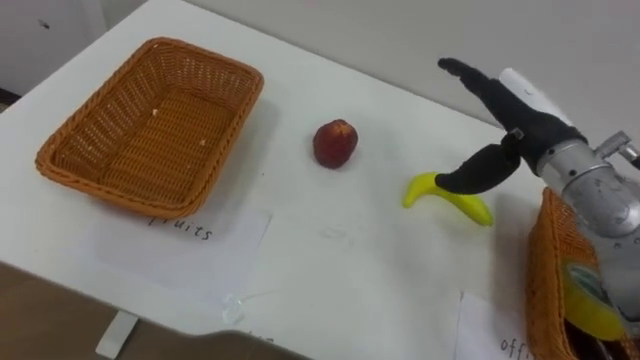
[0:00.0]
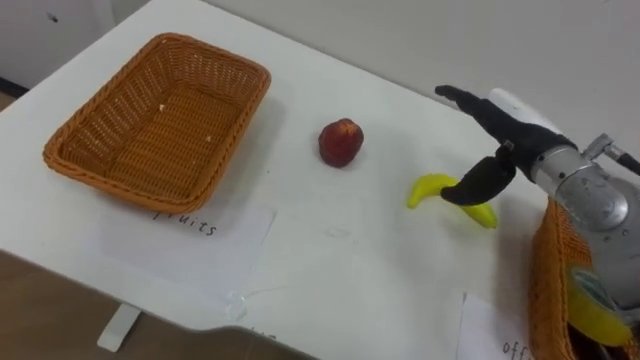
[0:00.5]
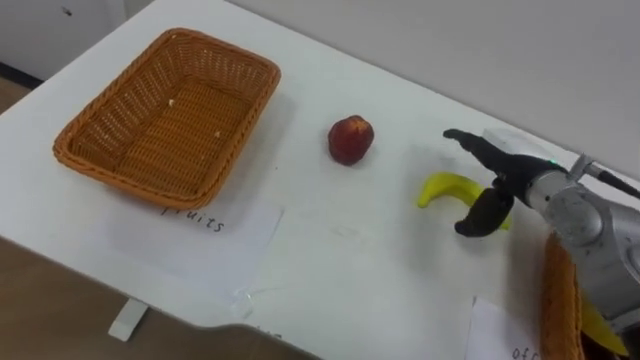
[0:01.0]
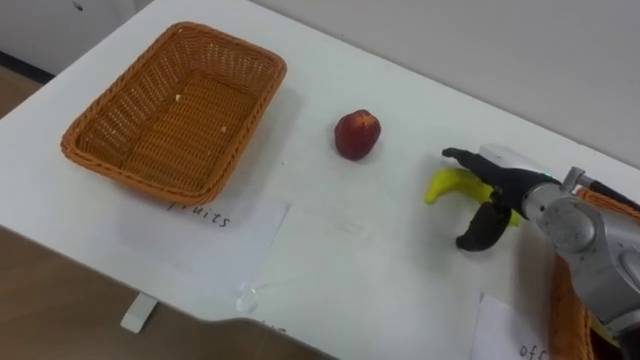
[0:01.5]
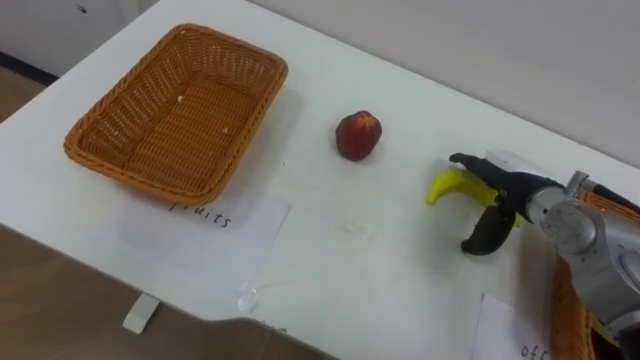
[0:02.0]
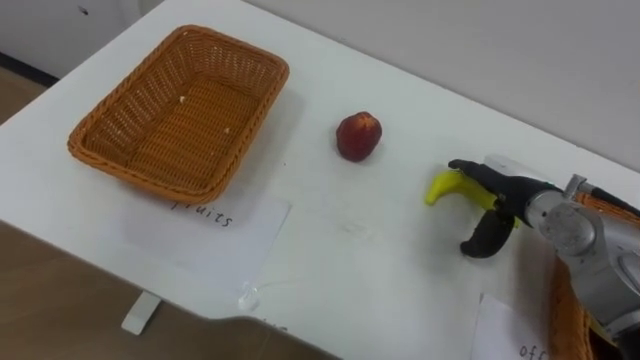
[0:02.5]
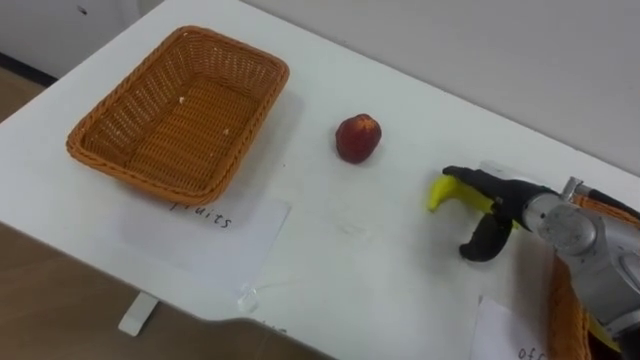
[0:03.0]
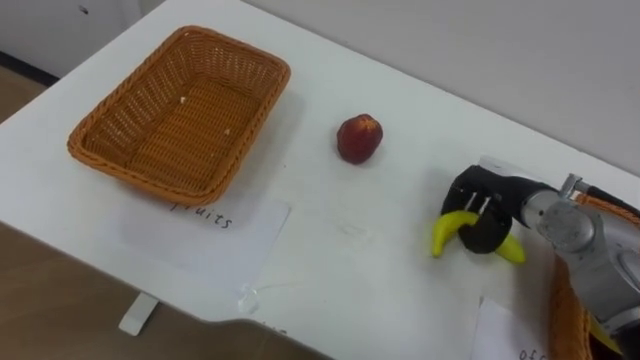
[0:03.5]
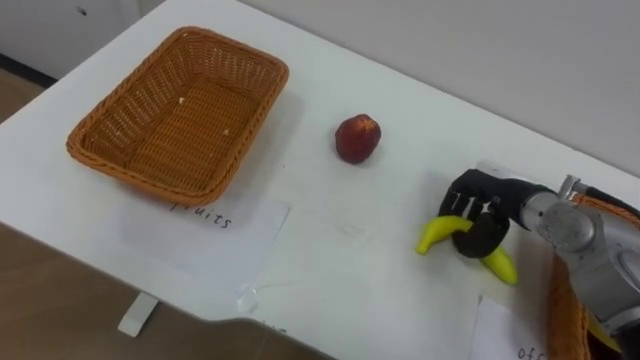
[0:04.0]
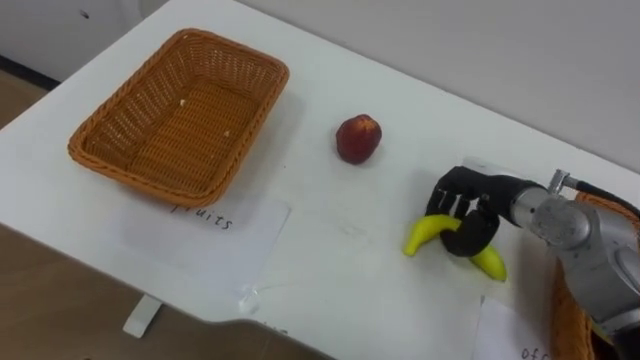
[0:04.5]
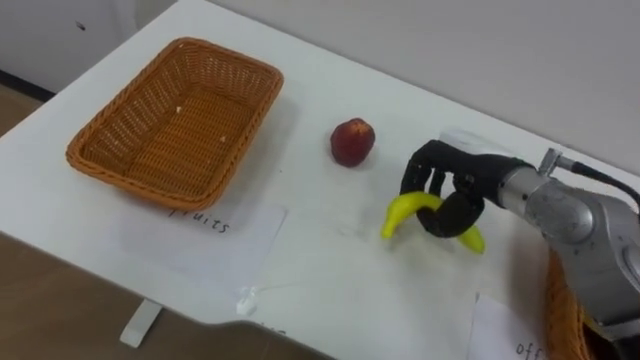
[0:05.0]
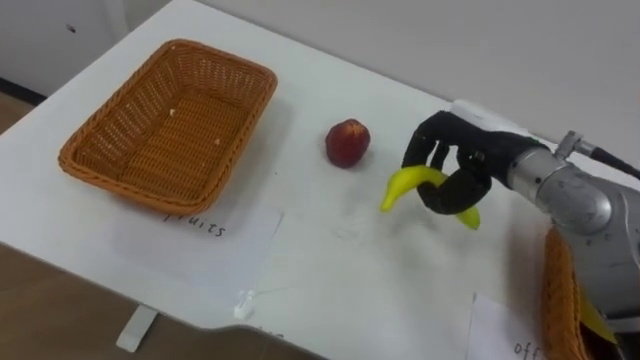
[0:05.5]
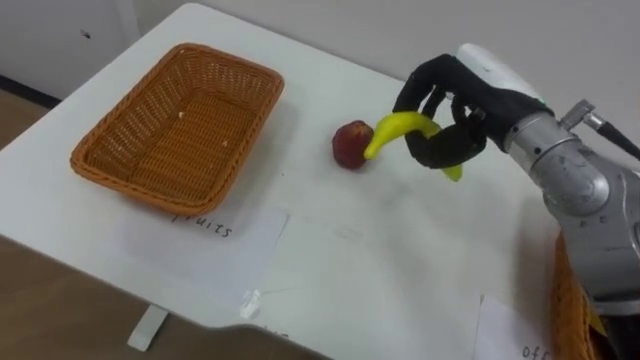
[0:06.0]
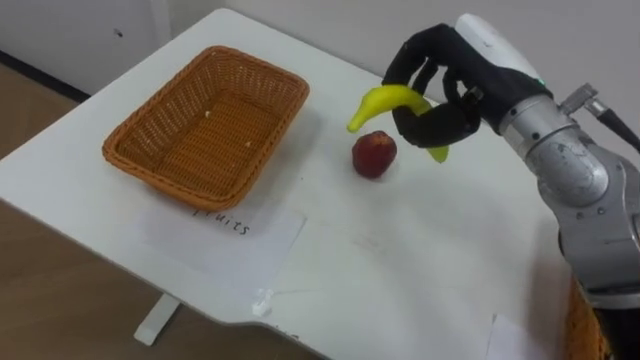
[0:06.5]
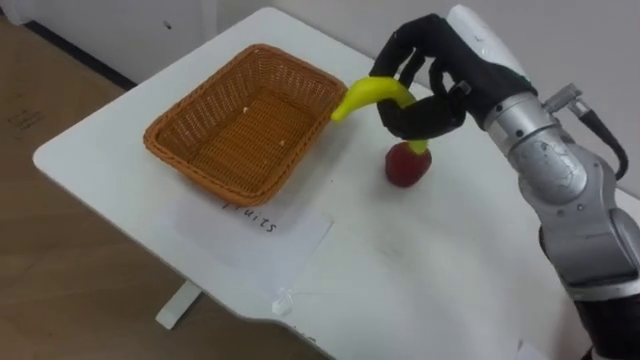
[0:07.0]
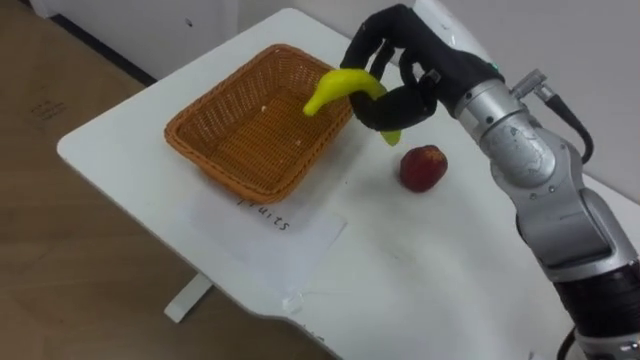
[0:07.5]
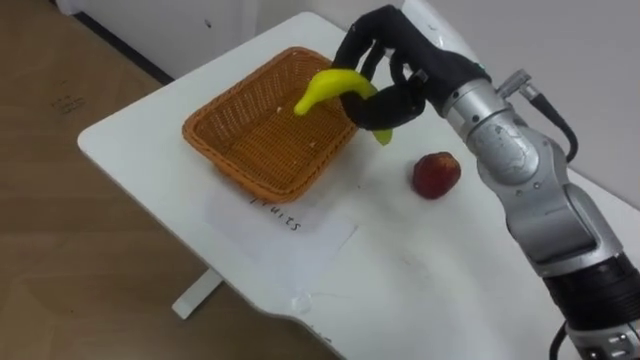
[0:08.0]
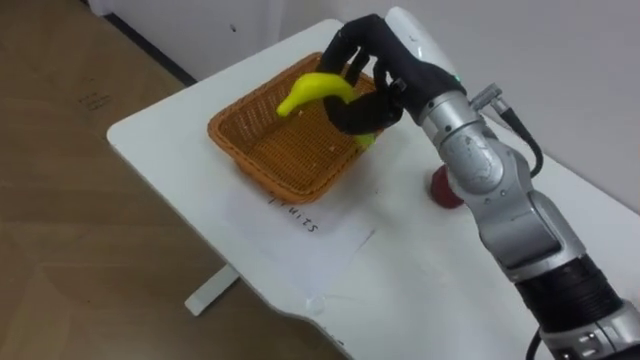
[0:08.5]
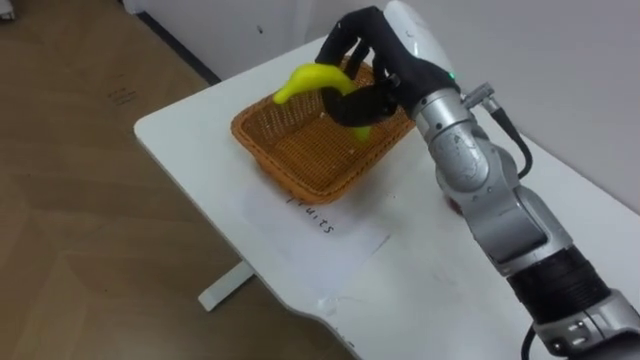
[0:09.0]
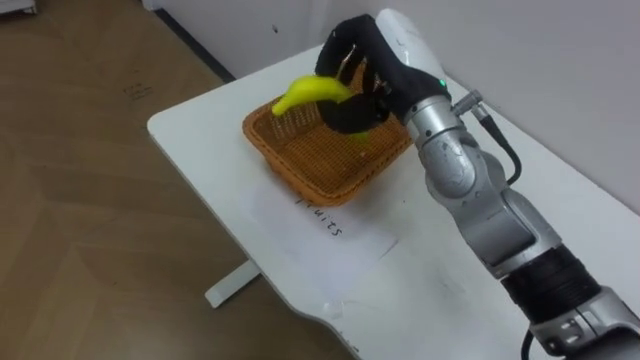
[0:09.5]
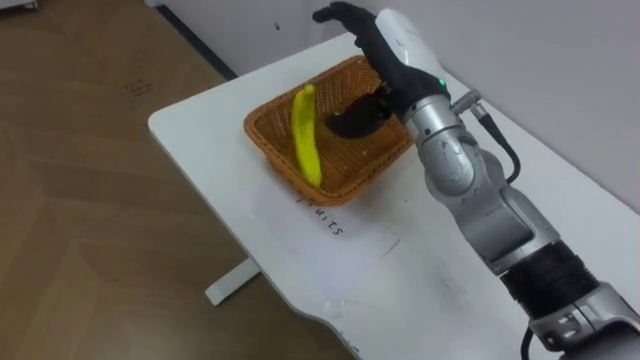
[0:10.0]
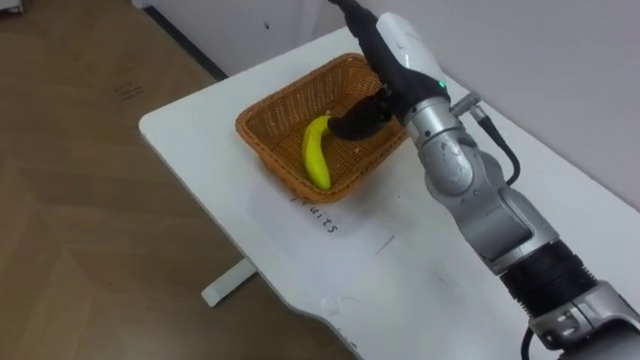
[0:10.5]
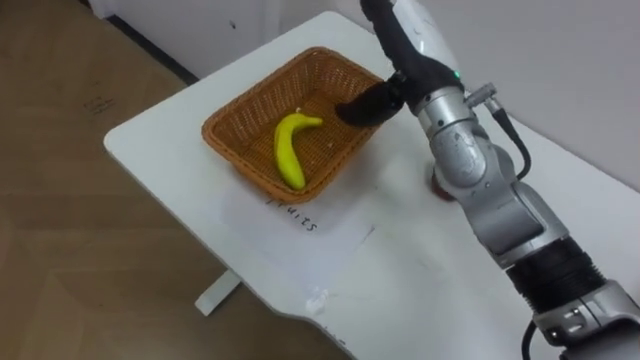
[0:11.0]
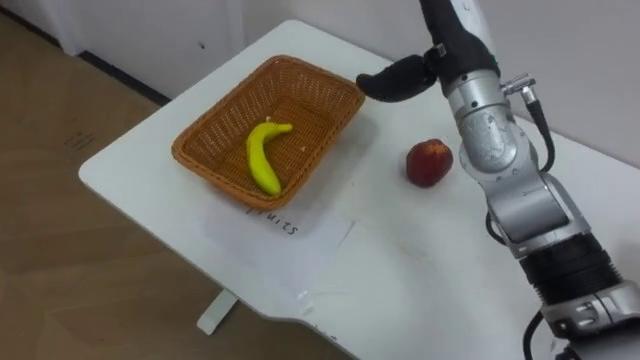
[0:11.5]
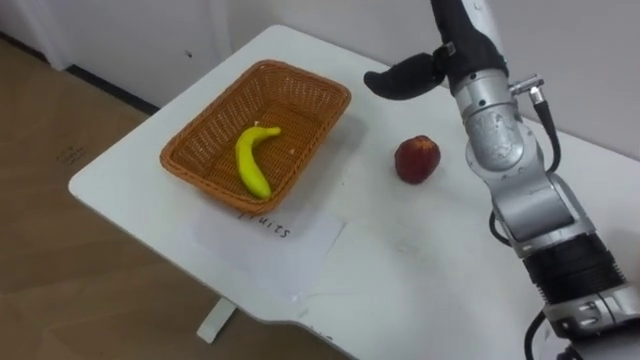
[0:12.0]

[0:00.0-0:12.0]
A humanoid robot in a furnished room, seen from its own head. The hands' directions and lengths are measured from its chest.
Task of the whole recording: Separate the items on the table and place them into the two baskets.
0:00.0 to 0:02.0: The right hand is displaced downward by some 10 cm.
0:02.0 to 0:04.0: The right hand closes up.
0:04.0 to 0:06.0: The right hand heads upward and to the left, covering some 15 cm.
0:06.0 to 0:08.0: The right hand goes approximately 5 cm to the left.
0:08.0 to 0:10.0: The right hand opens its fingers.
0:10.0 to 0:12.0: The right hand travels to the right by approximately 5 cm.

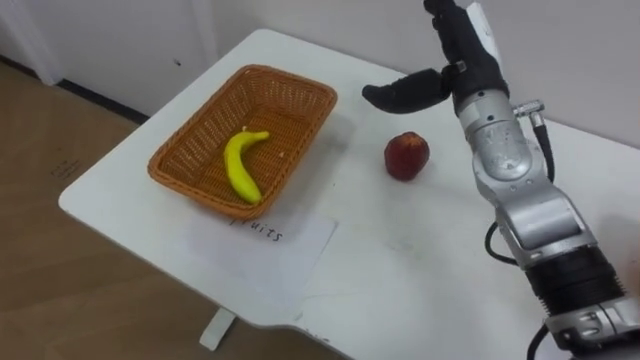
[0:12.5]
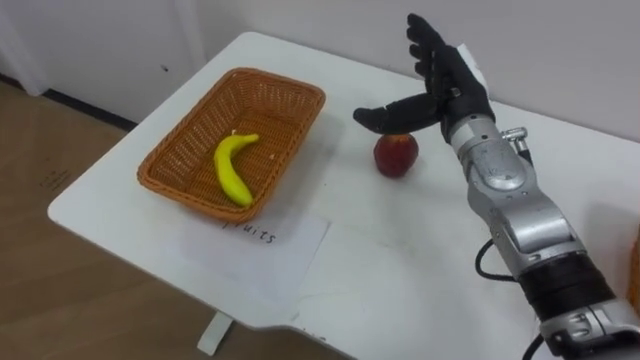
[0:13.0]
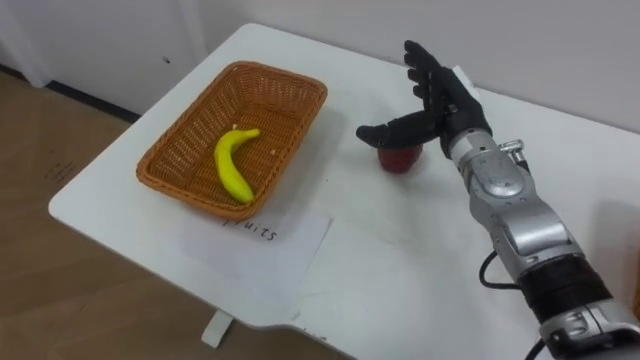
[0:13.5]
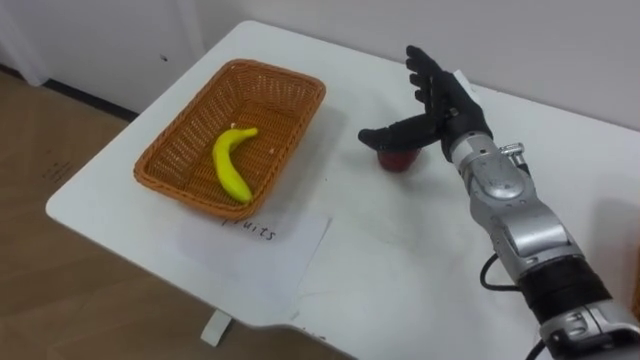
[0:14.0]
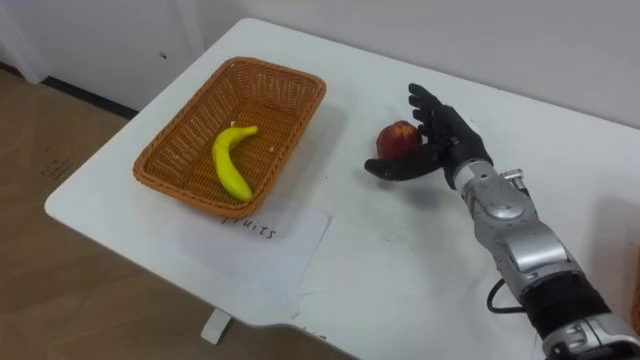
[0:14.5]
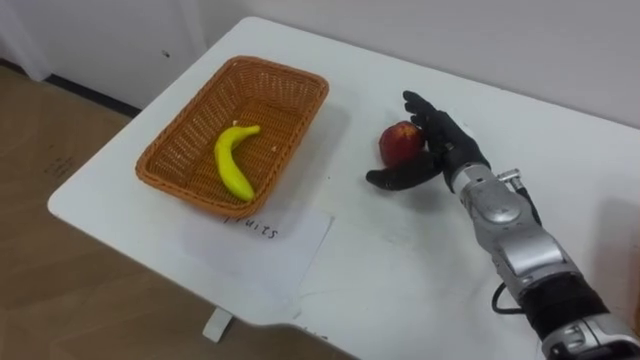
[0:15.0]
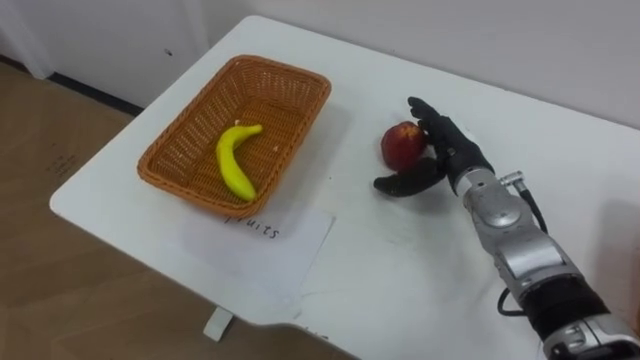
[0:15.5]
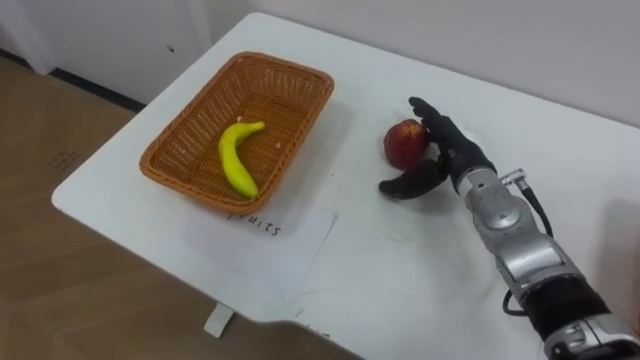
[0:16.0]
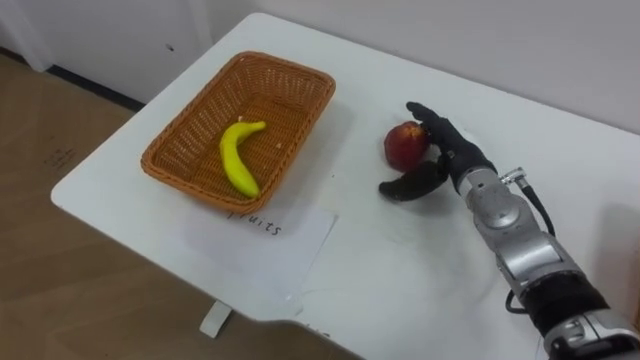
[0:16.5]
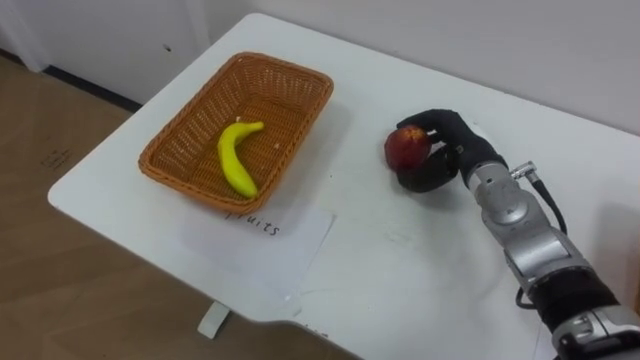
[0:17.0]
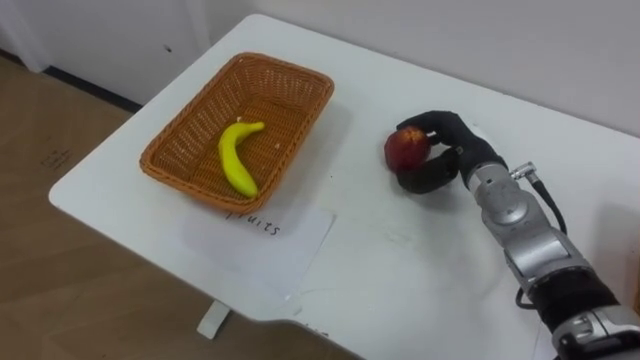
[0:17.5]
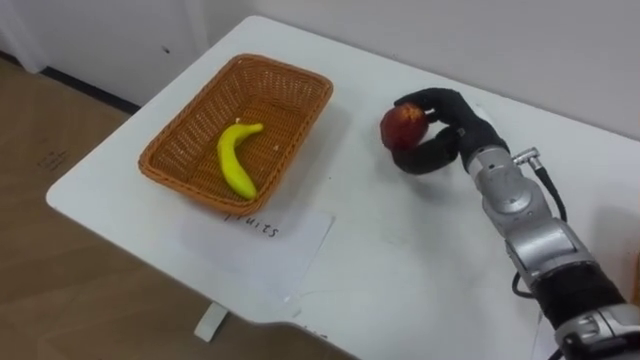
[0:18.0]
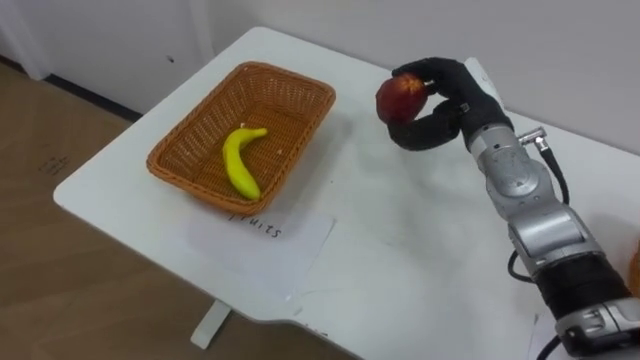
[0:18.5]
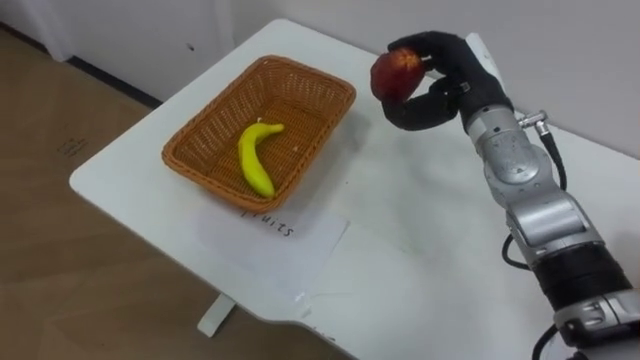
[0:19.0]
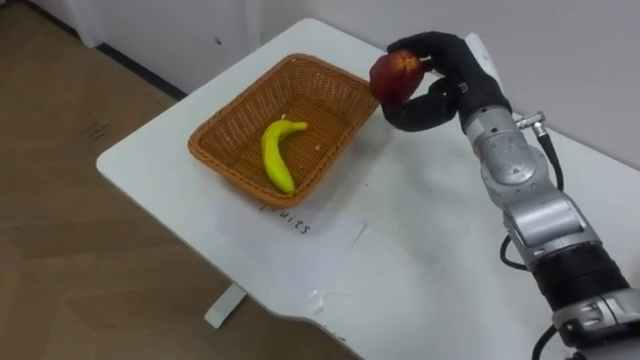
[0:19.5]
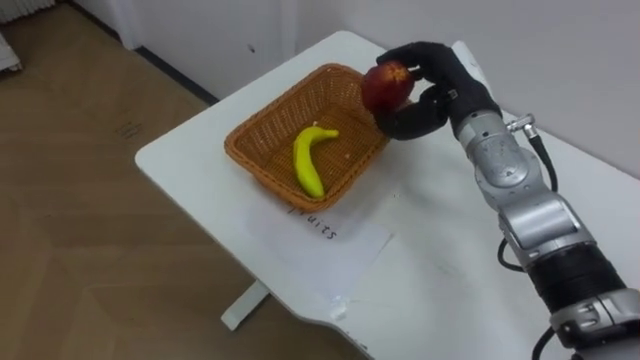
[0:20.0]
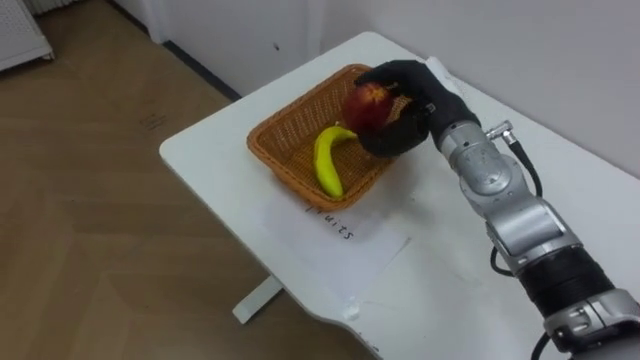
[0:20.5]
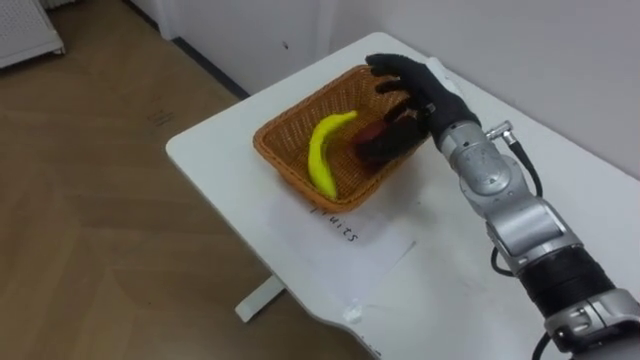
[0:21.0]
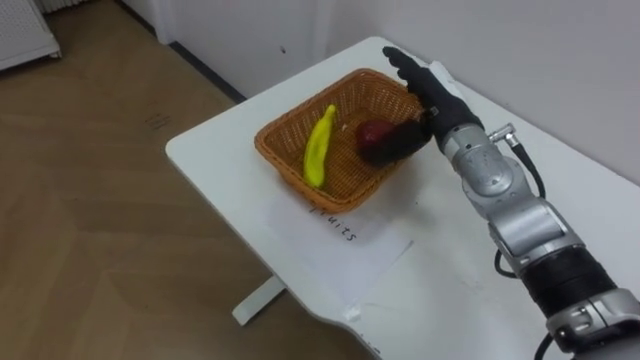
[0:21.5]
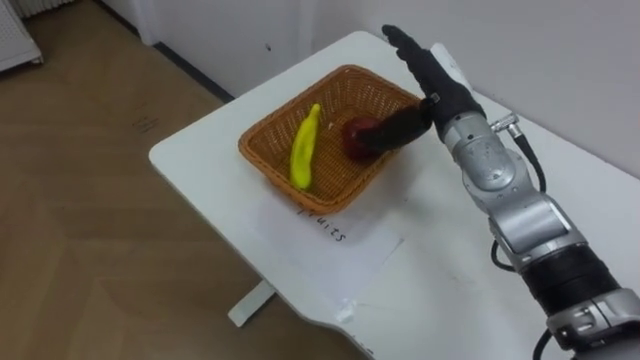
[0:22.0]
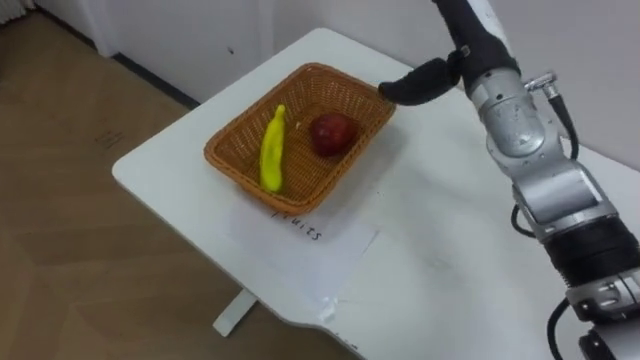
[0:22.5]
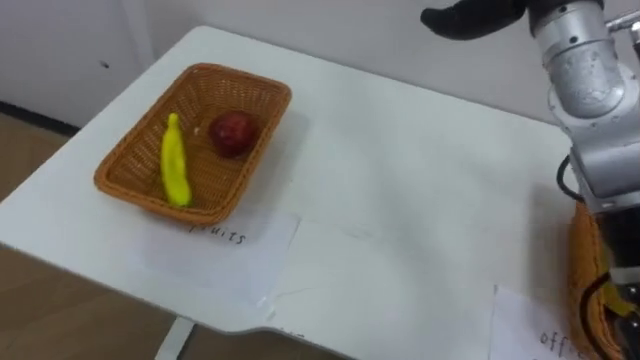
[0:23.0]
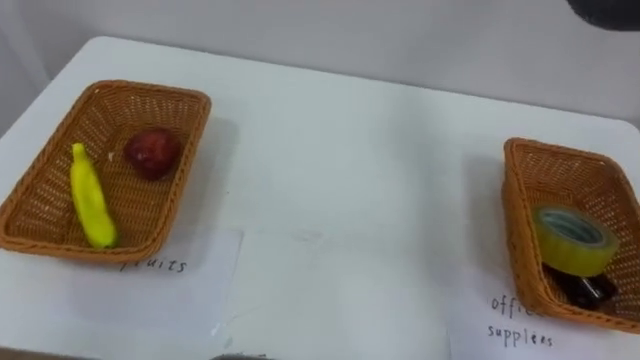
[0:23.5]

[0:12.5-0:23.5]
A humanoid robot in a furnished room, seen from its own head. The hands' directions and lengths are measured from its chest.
Task of the whole recording: Separate the items on the table and place them into the two baskets.
0:12.5 to 0:14.5: The right hand travels downward by roughly 10 cm.
0:16.0 to 0:18.0: The right hand closes.
0:18.0 to 0:20.0: The right hand heads upward, covering about 5 cm.
0:20.0 to 0:21.5: The right hand opens.
